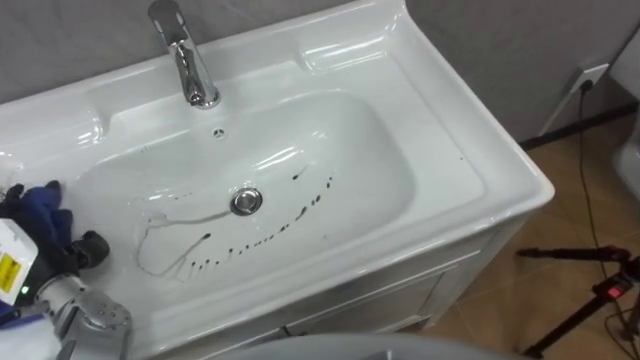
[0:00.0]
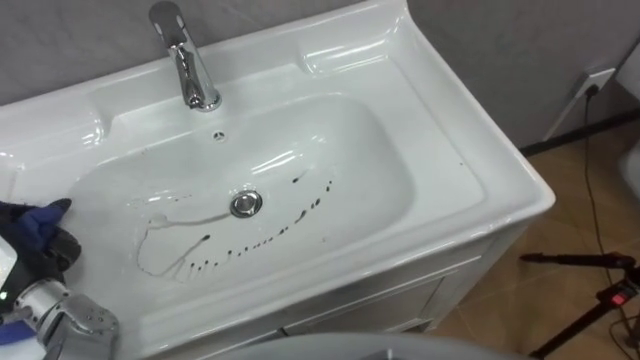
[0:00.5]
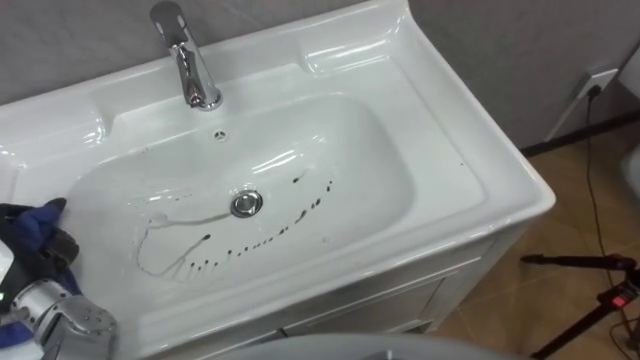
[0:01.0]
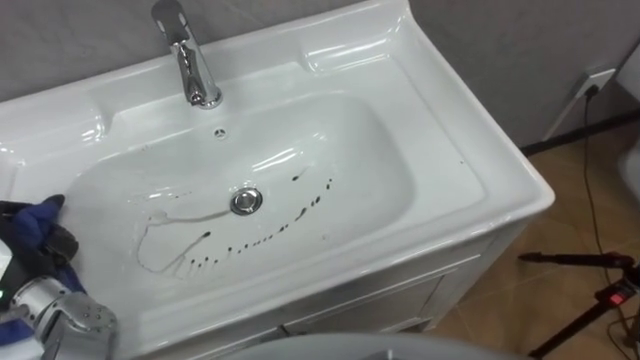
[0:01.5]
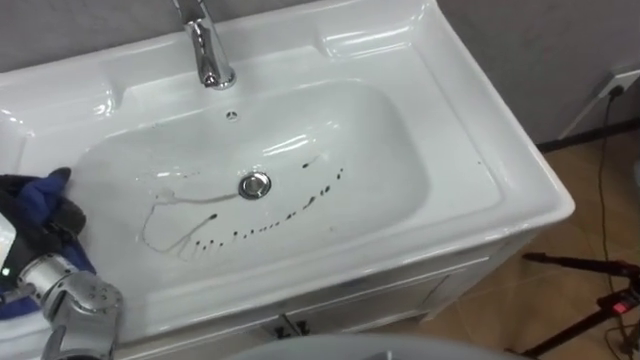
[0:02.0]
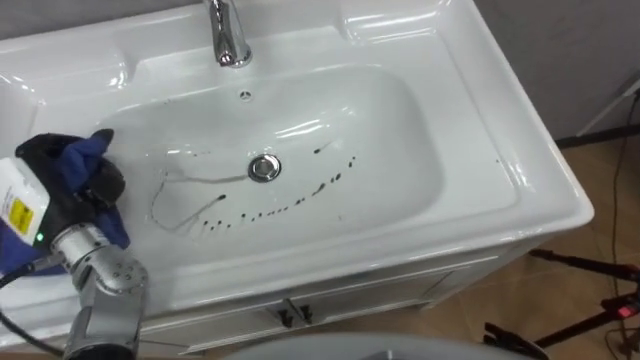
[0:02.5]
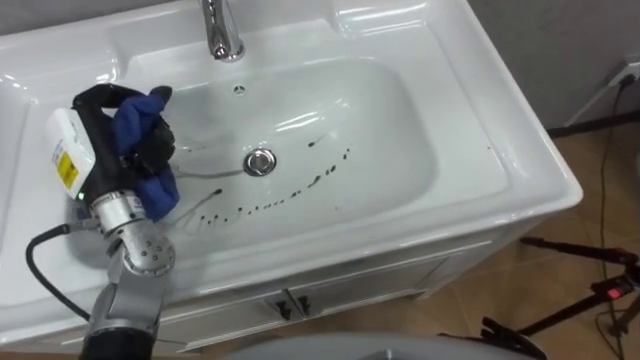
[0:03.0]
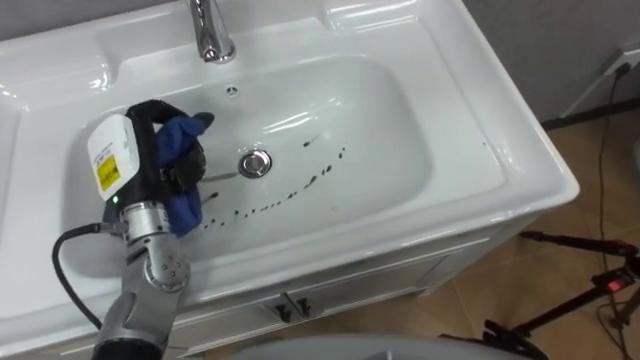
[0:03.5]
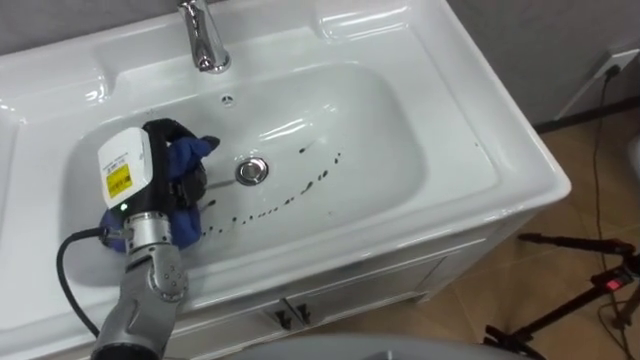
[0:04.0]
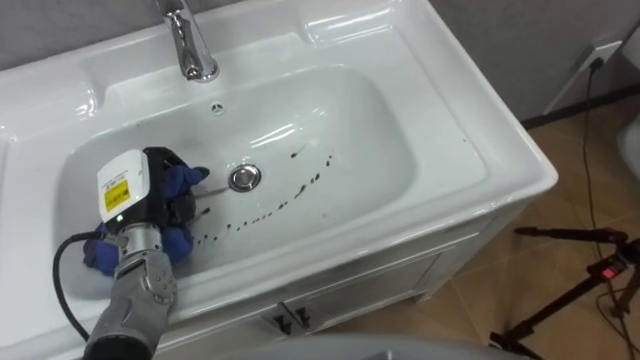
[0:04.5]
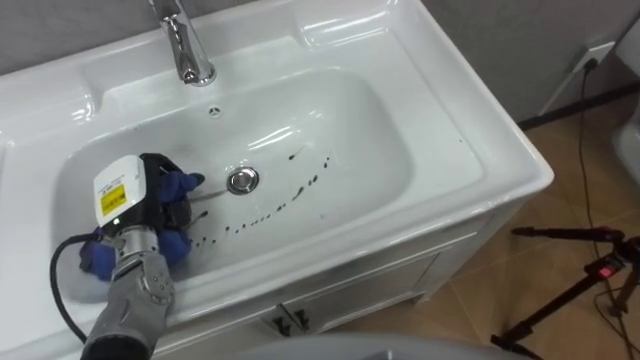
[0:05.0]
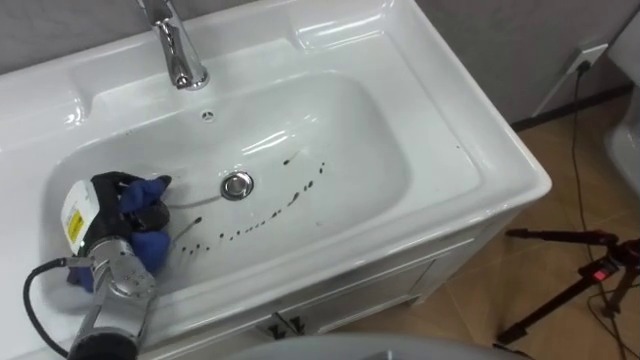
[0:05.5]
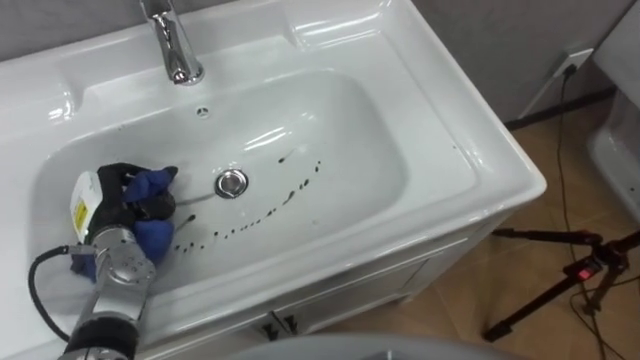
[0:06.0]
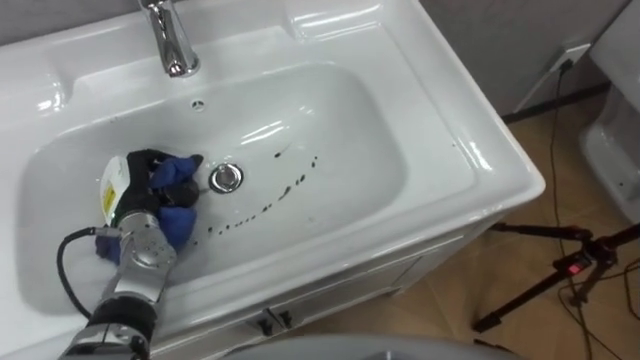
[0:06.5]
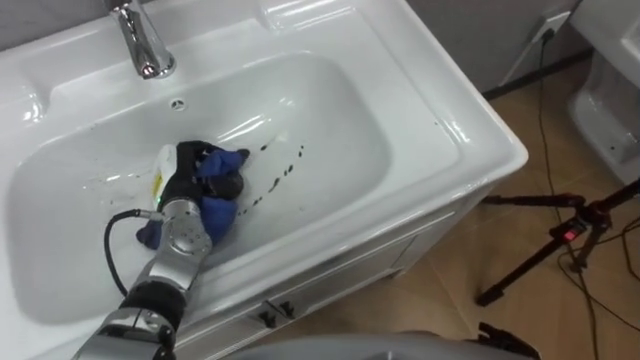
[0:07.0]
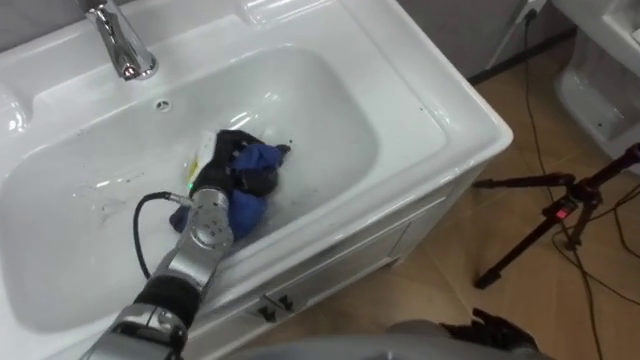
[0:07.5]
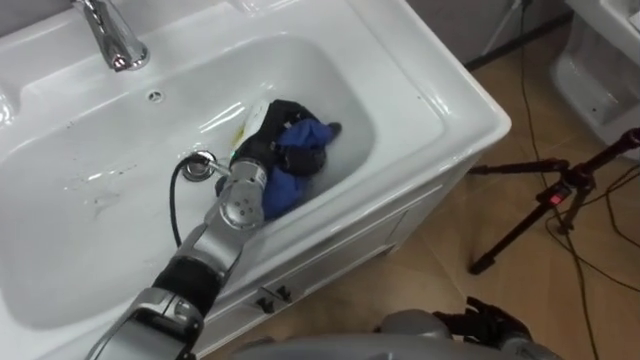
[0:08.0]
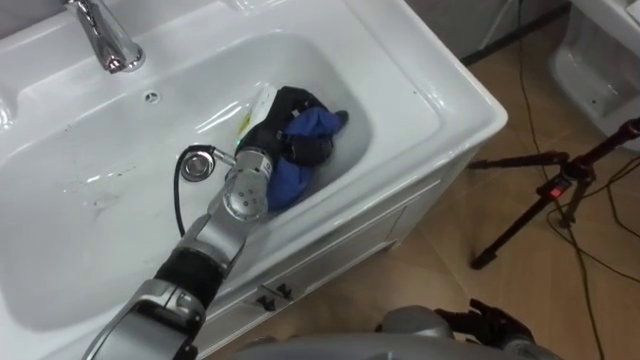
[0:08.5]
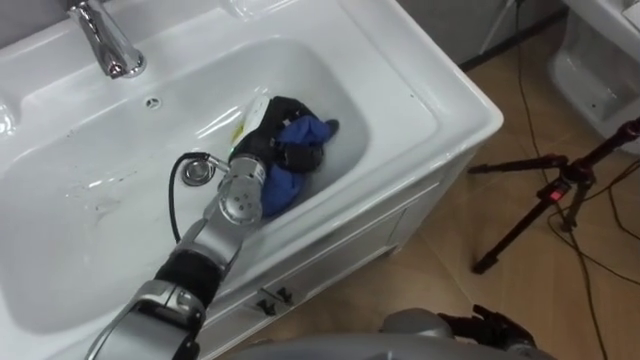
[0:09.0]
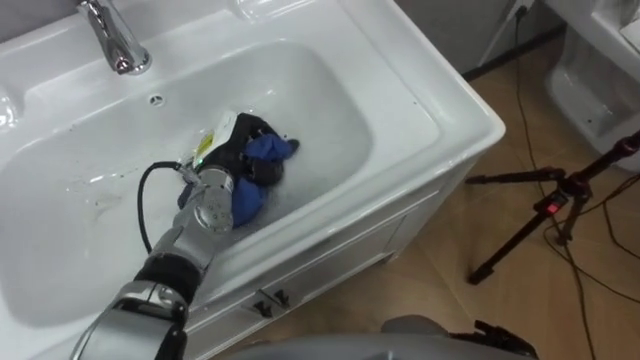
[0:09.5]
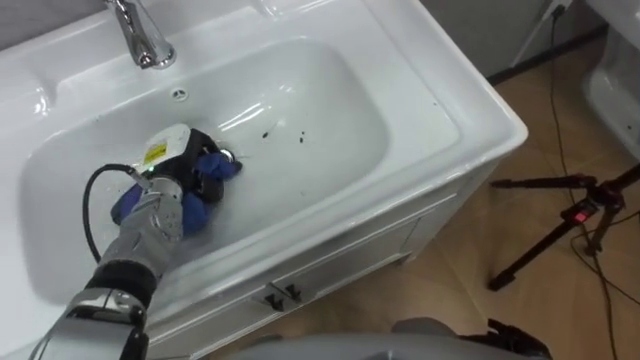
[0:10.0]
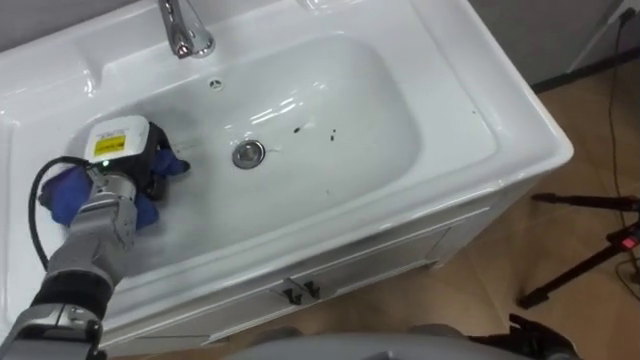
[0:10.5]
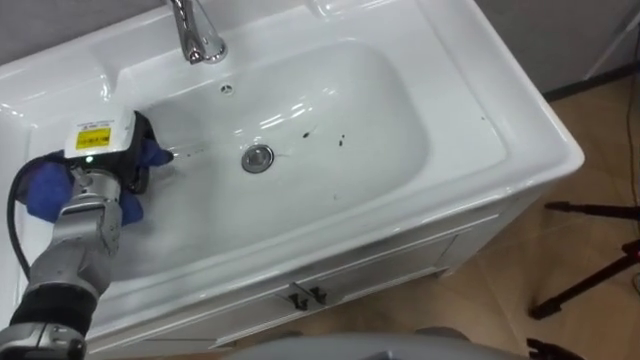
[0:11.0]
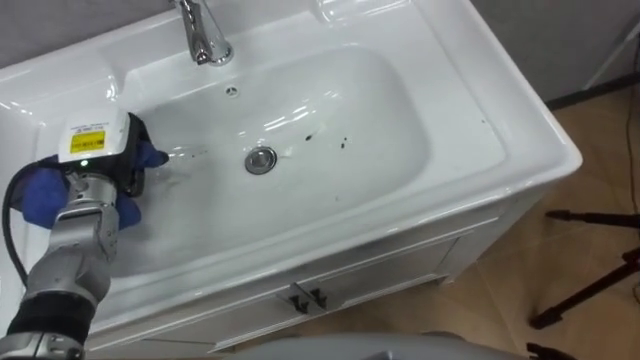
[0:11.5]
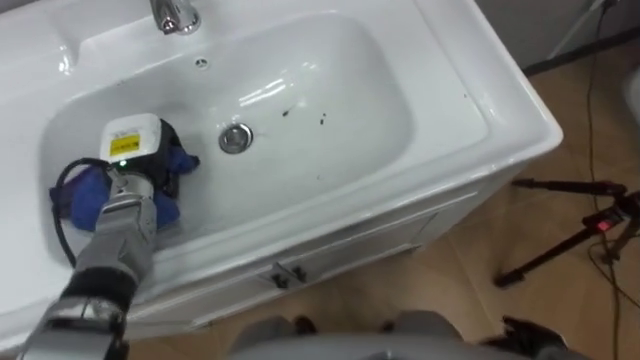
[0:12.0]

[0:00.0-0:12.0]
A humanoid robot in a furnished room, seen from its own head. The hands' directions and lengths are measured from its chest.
Task of the whole recording: Use the cloth on the right to wipe away the black stain in the sink.
0:02.0 to 0:04.0: The left hand shifts roughly 15 cm to the right and forward.
0:04.0 to 0:06.0: The left hand is displaced downward and to the left by roughly 10 cm.
0:06.0 to 0:08.0: The left hand moves to the right and forward, approximately 25 cm.
0:08.0 to 0:10.0: The left hand goes roughly 15 cm to the left.

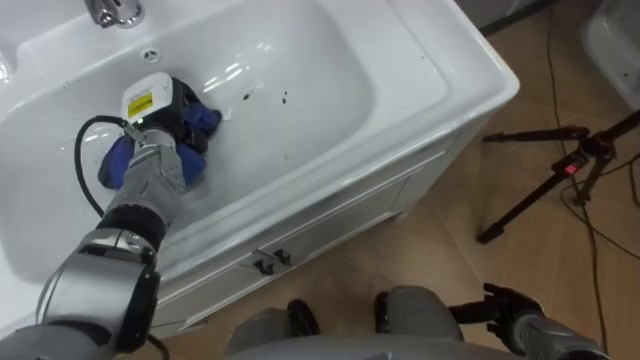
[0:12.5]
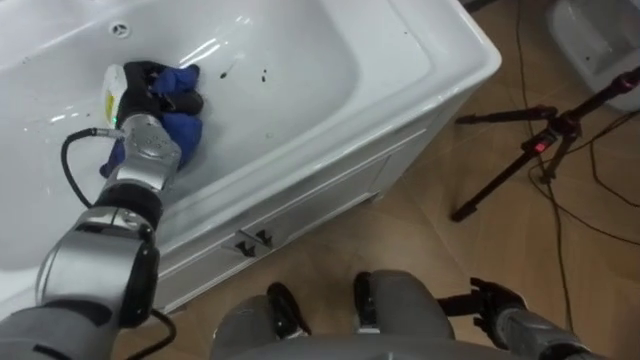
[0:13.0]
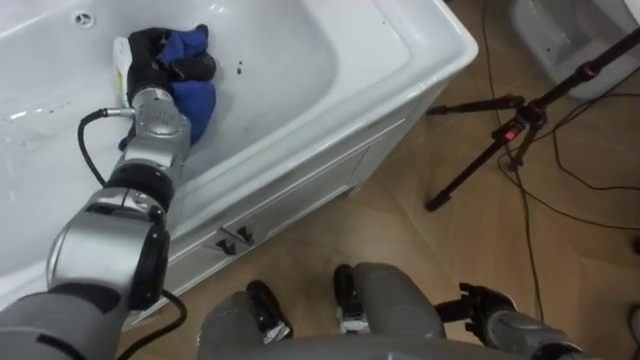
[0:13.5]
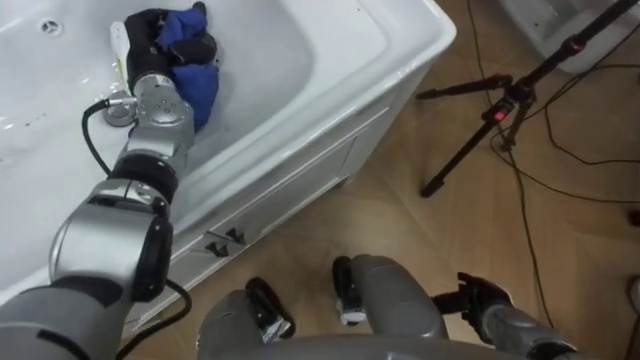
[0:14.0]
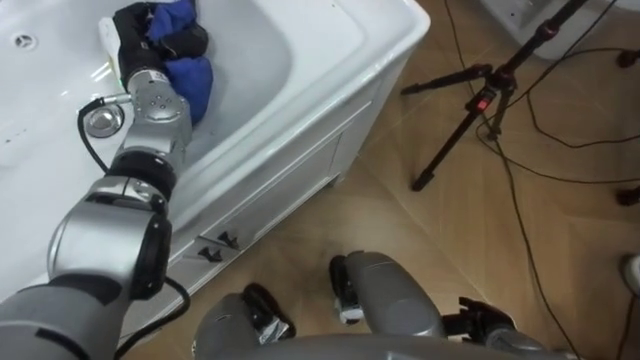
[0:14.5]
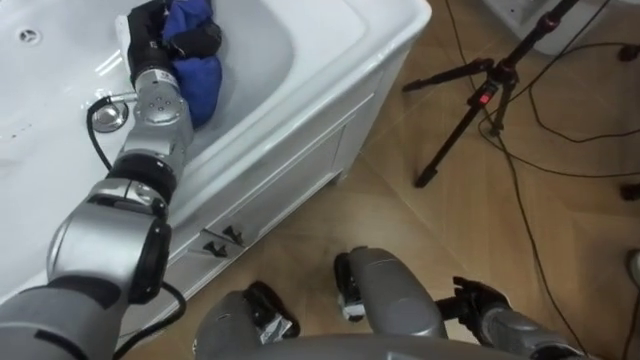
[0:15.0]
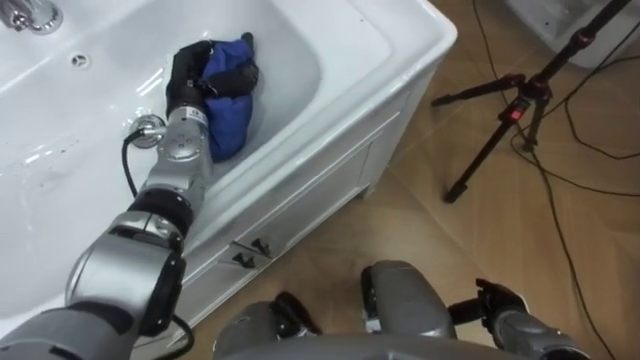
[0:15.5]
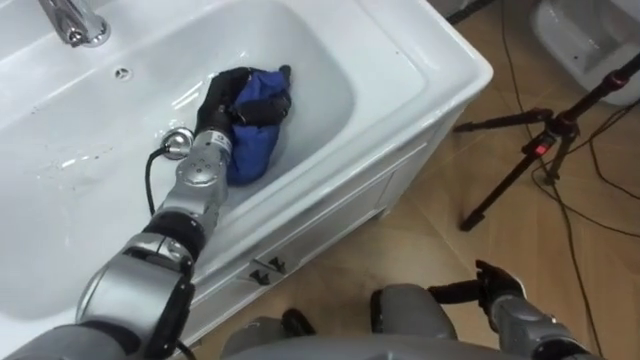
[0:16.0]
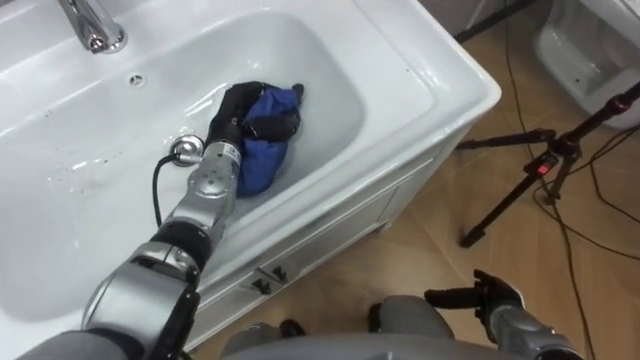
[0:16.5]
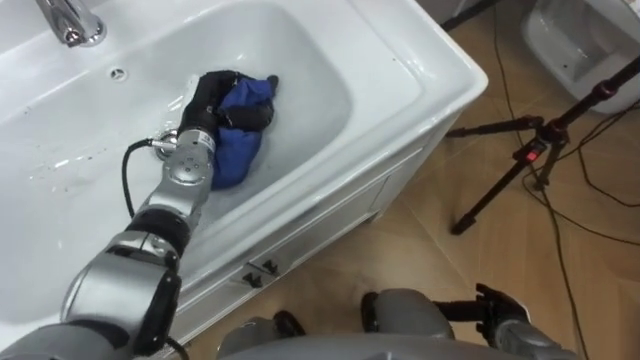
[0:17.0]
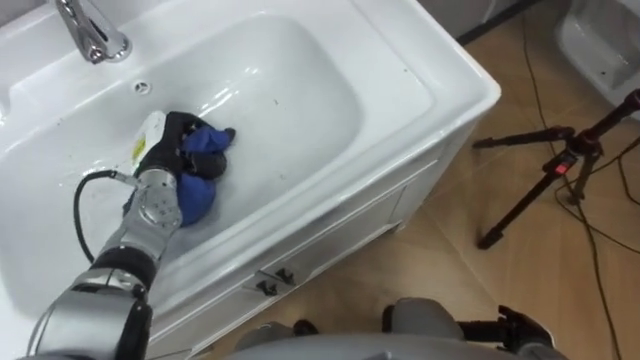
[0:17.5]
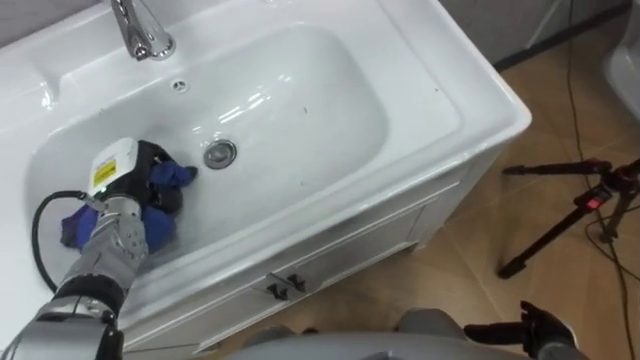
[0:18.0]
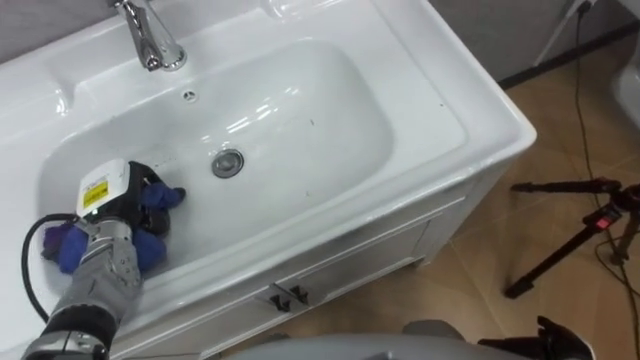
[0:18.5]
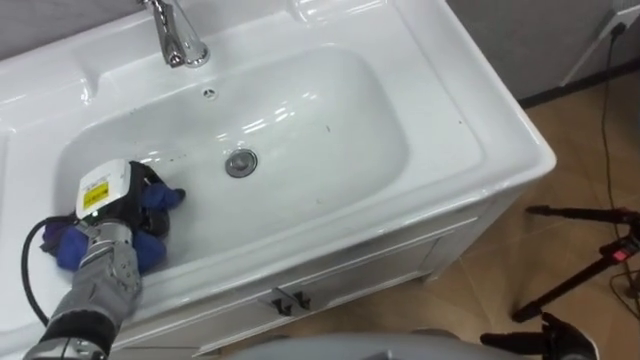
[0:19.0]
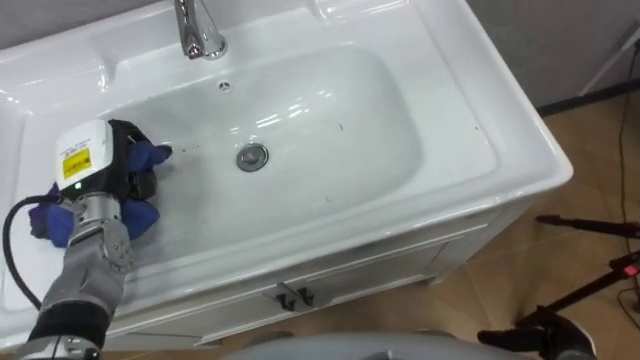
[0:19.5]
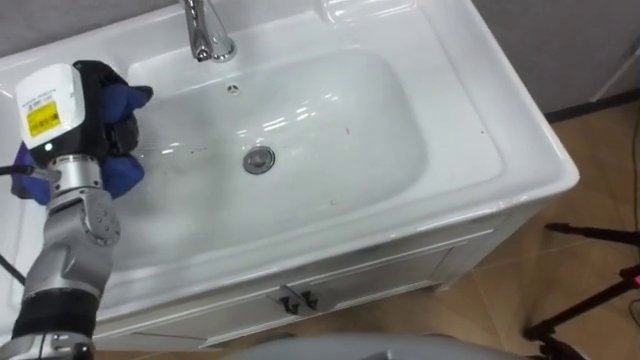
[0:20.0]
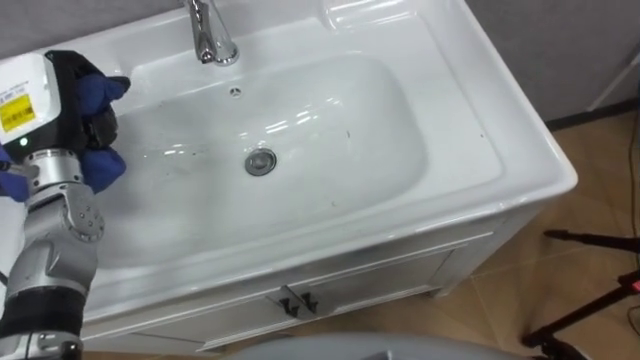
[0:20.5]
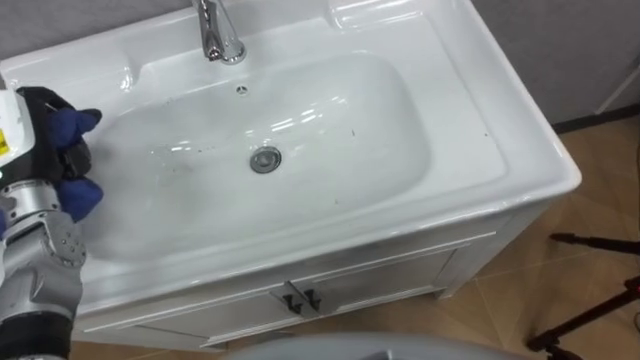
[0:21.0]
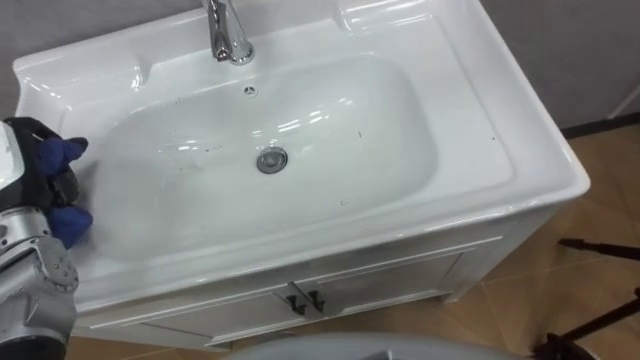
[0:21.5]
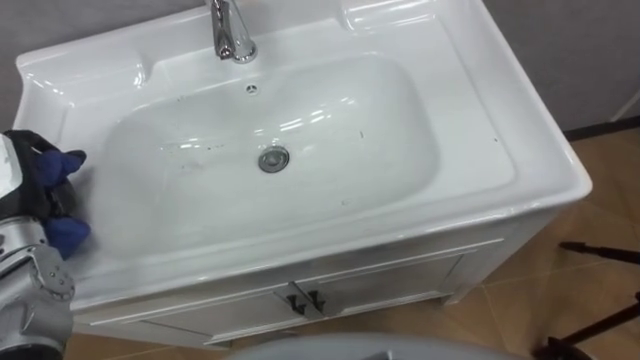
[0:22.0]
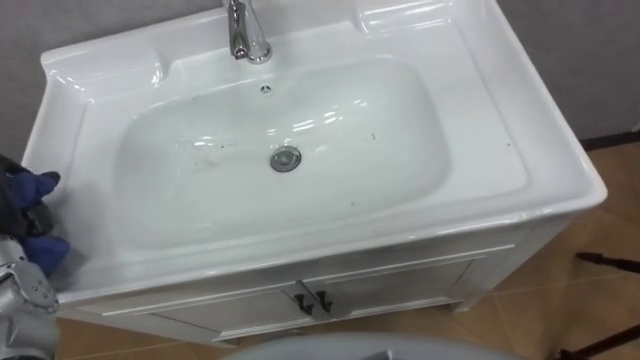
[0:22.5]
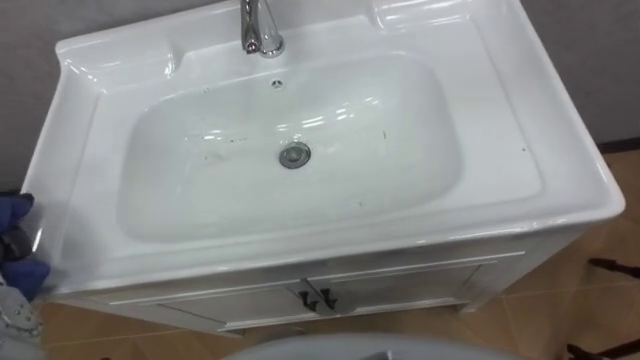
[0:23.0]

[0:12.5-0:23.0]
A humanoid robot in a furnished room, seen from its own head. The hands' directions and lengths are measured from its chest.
Task of the whole recording: Use the cloth on the right to wipe away the black stain in the sink.
0:12.5 to 0:14.5: The left hand travels upward by some 5 cm.
0:14.5 to 0:16.5: The left hand shifts roughly 15 cm to the right, downward and backward.
0:16.5 to 0:19.0: The left hand is displaced to the left and backward by about 20 cm.
0:19.0 to 0:21.0: The left hand shifts roughly 15 cm upward and to the left.
